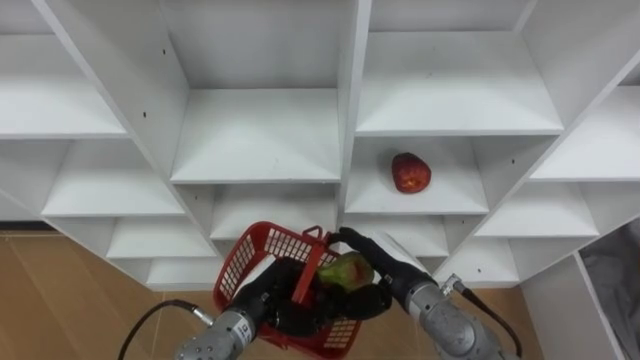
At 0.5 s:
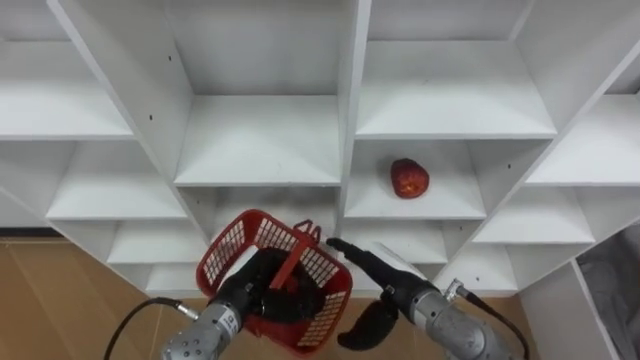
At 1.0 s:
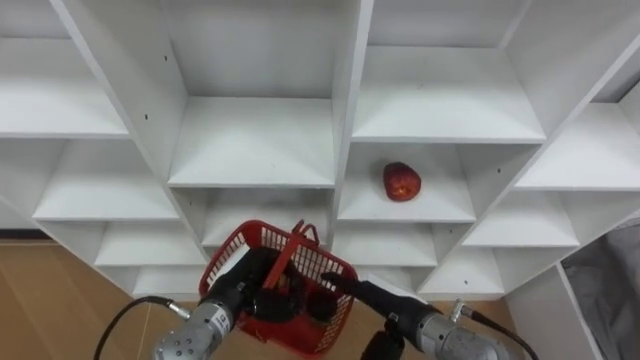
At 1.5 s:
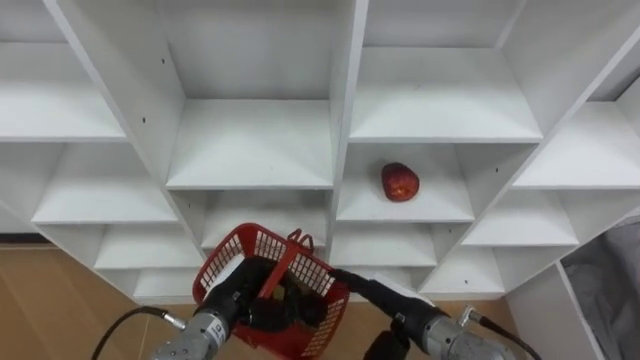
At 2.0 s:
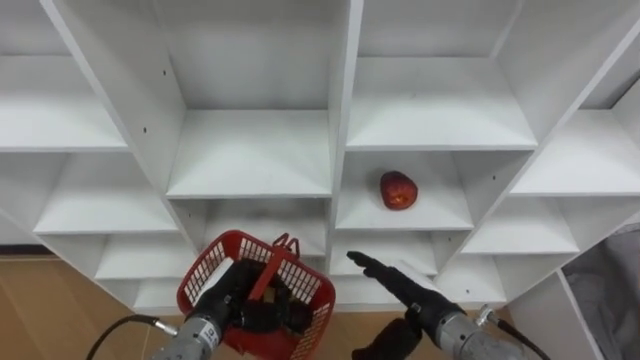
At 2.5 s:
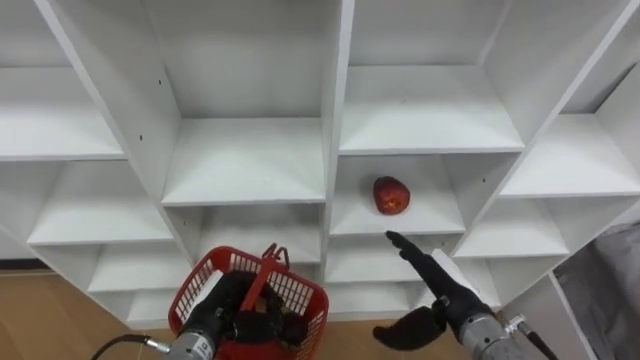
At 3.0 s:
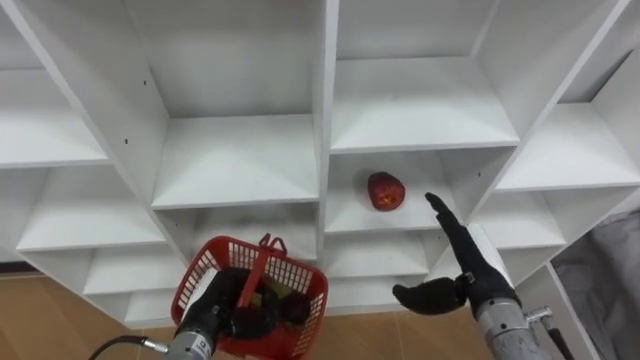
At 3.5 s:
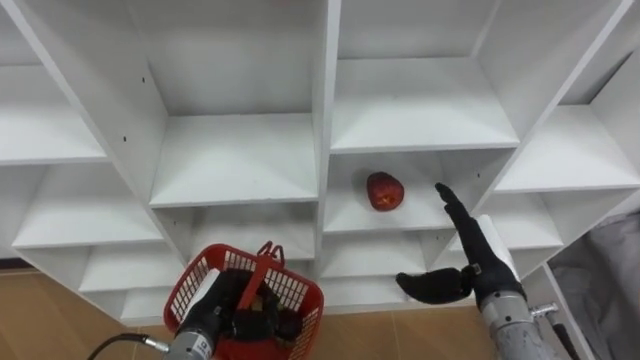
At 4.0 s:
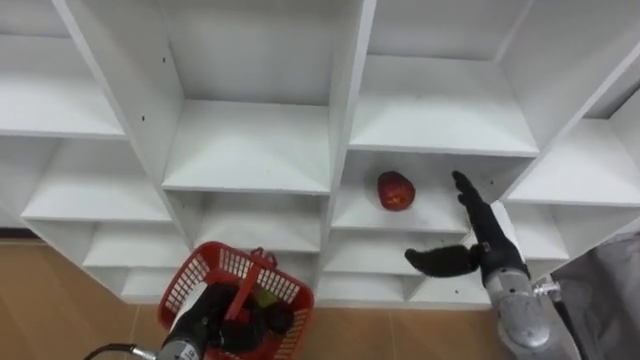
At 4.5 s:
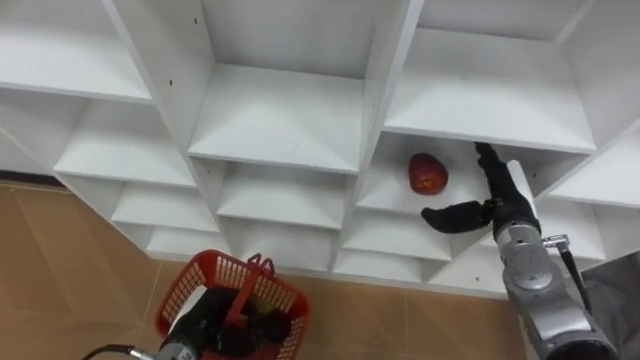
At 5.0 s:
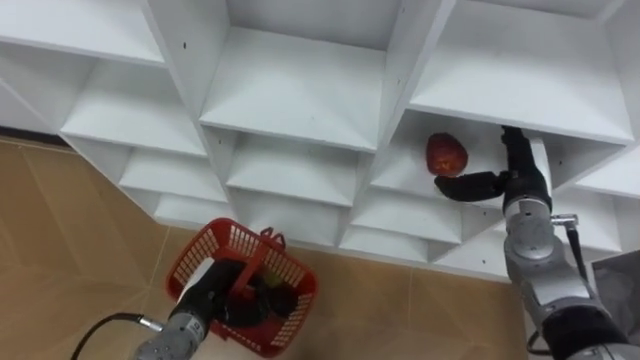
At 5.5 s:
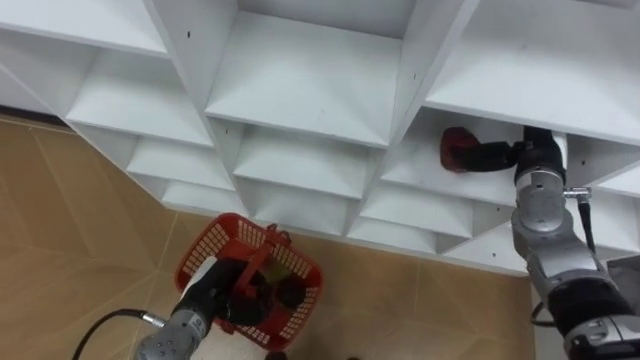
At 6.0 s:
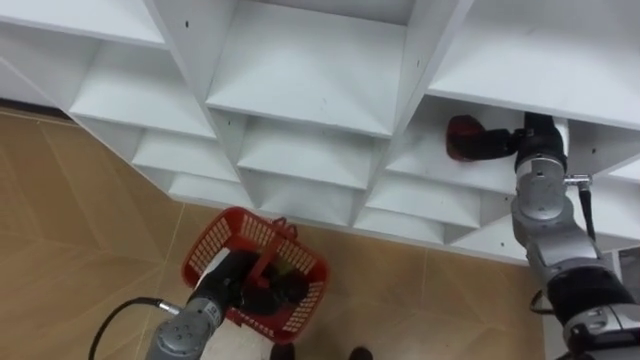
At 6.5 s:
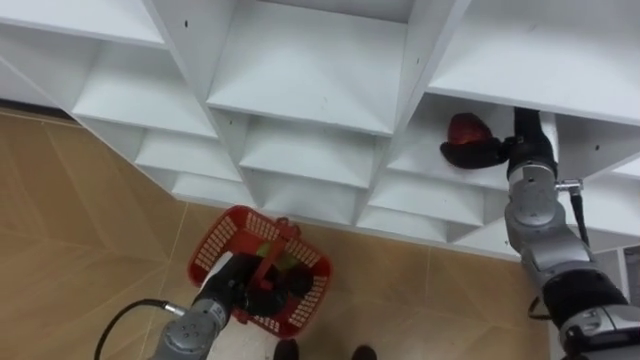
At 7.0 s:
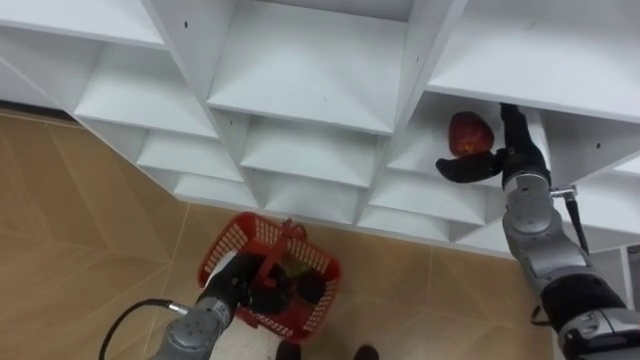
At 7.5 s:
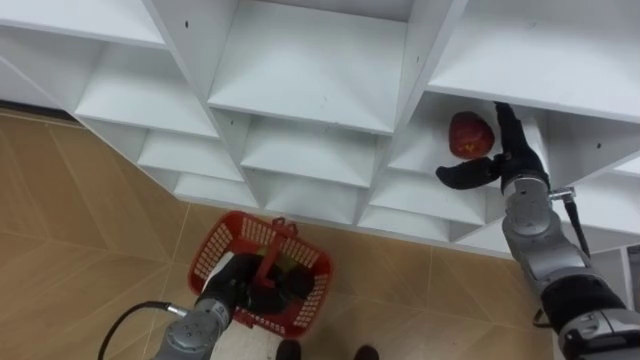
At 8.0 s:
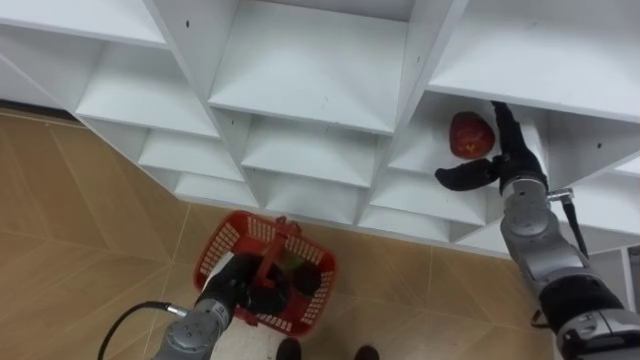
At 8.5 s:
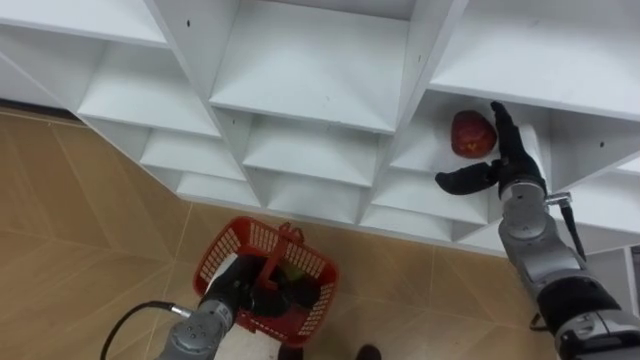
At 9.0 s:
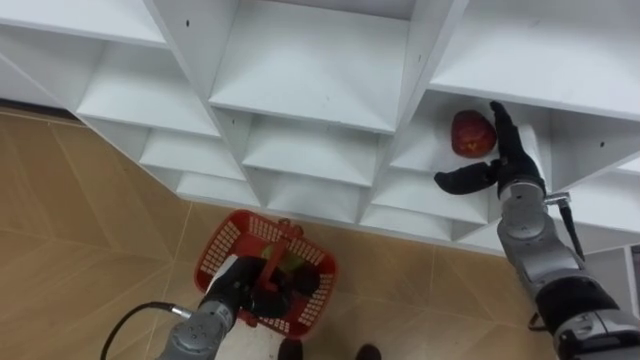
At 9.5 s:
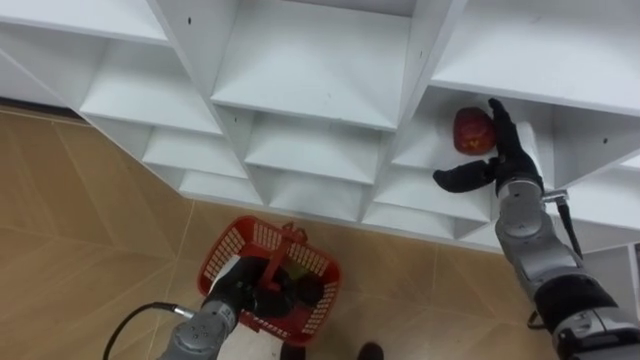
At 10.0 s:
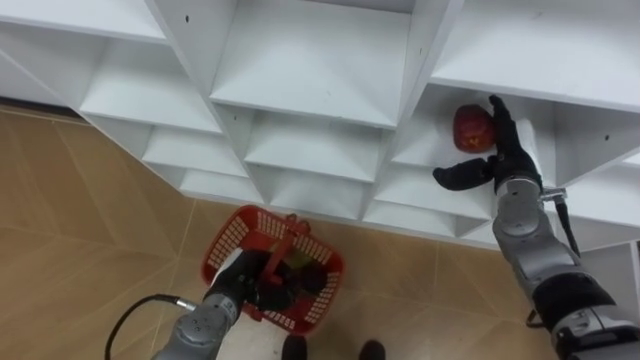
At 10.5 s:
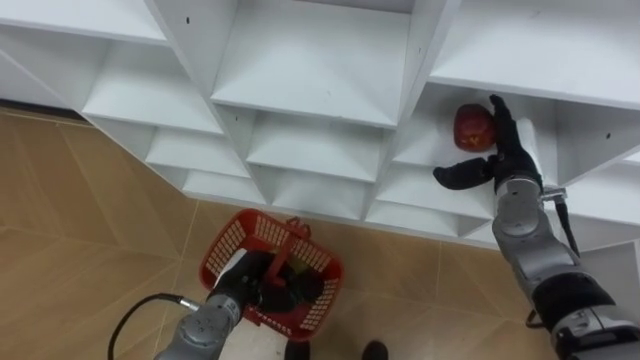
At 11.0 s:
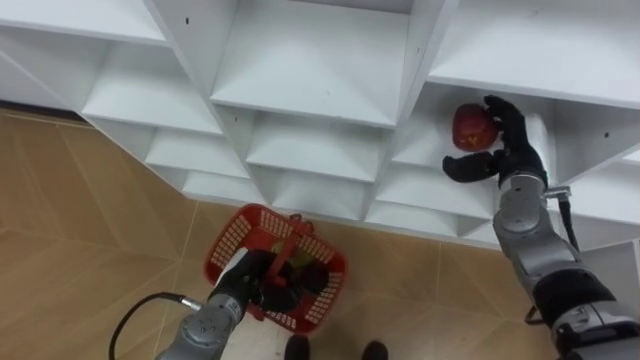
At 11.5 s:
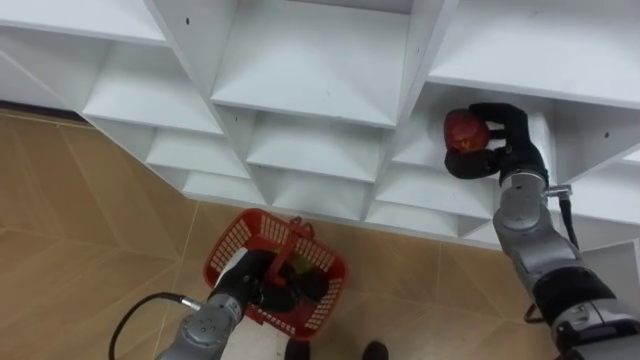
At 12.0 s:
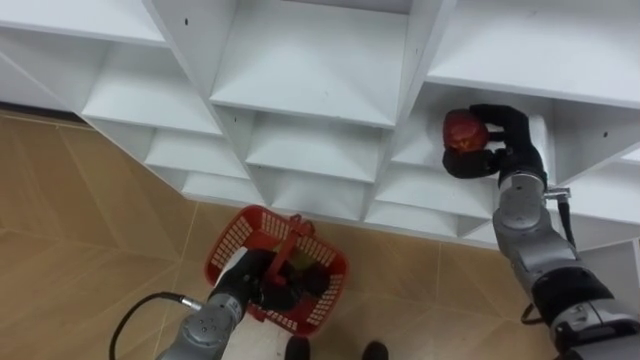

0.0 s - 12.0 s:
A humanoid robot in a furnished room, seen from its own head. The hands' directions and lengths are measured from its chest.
Task of the whole recording: Hold the basket and collect the fruits from 3 different cells of the closet into it.
0.0 s - 2.0 s: The right hand ends up roughly 5 cm from where it was. Meanwhile the left hand goes approximately 5 cm to the left.
2.0 s - 4.0 s: The right hand goes some 10 cm to the right and forward.
4.0 s - 6.0 s: The right hand heads forward and upward, covering roughly 15 cm; the left hand moves forward, approximately 5 cm.
8.0 s - 10.0 s: Neither hand changes place.
10.0 s - 12.0 s: The right hand closes.

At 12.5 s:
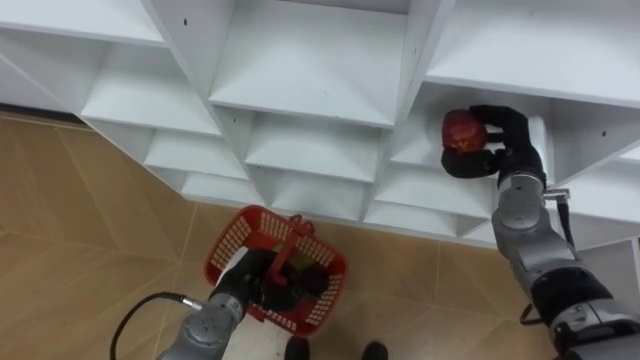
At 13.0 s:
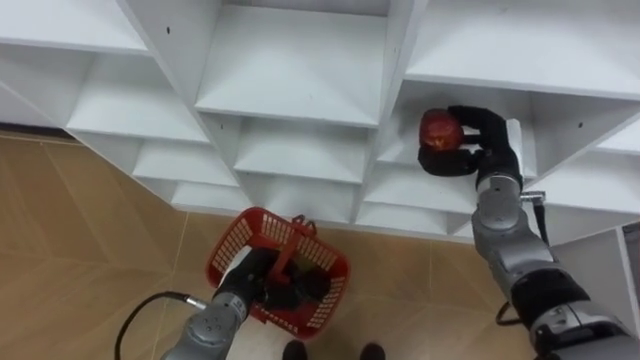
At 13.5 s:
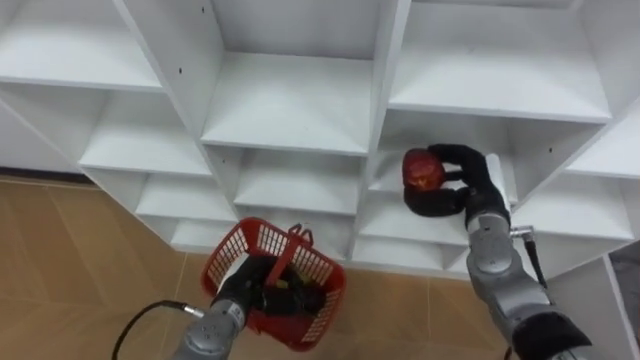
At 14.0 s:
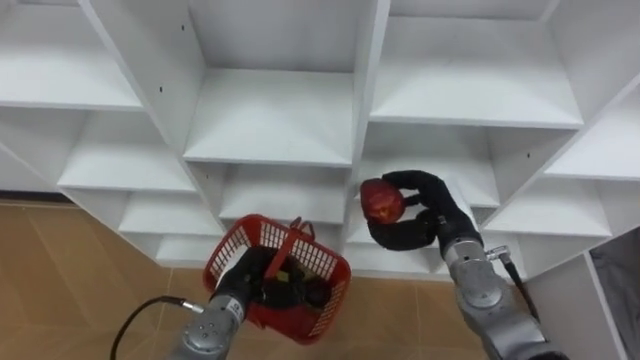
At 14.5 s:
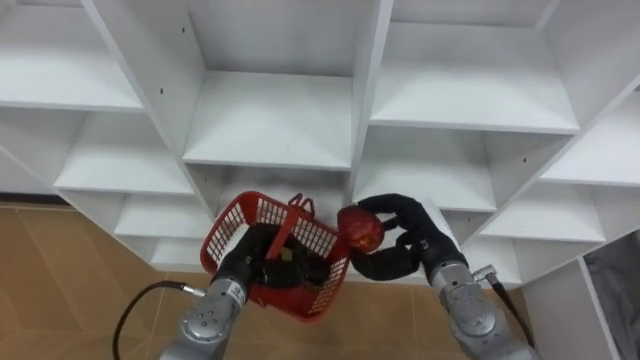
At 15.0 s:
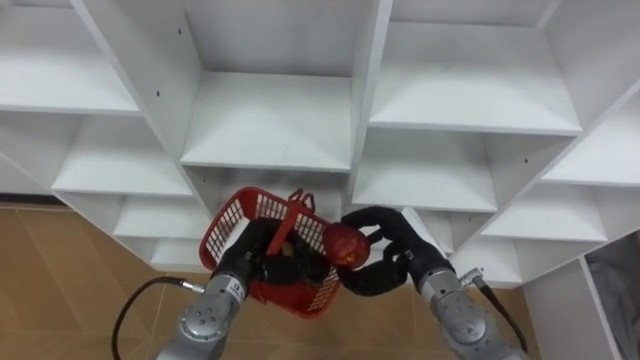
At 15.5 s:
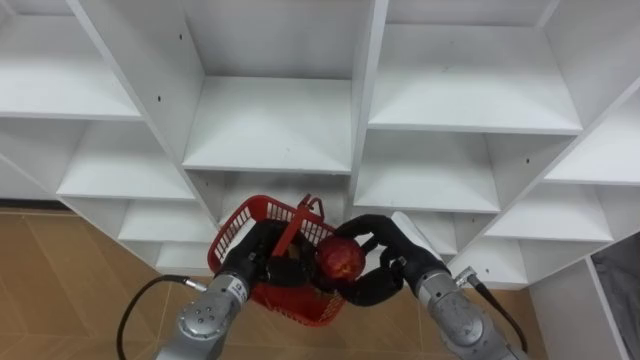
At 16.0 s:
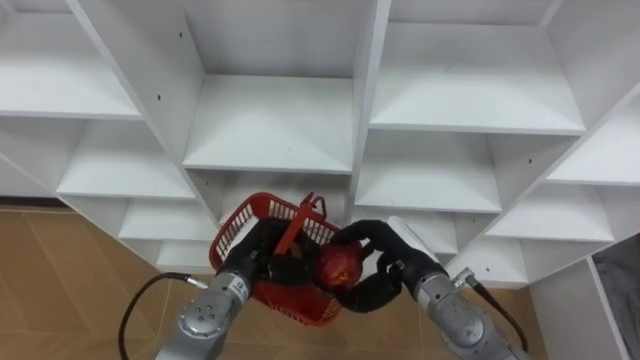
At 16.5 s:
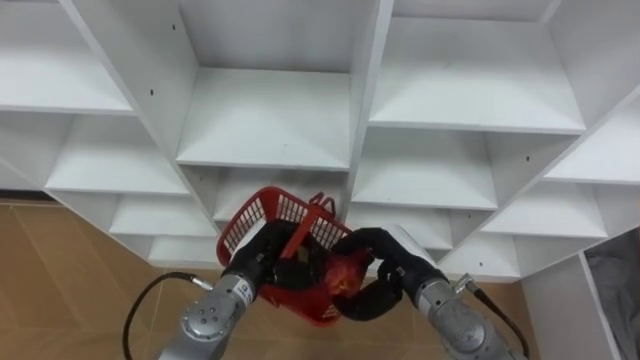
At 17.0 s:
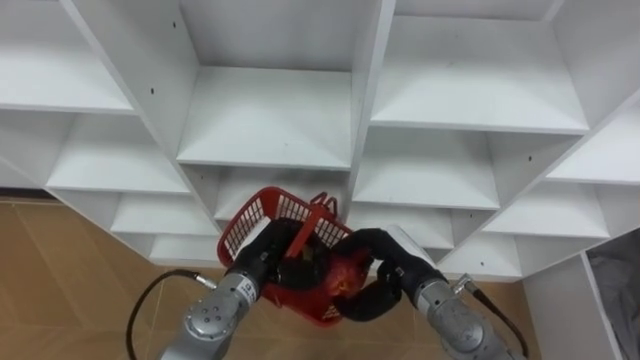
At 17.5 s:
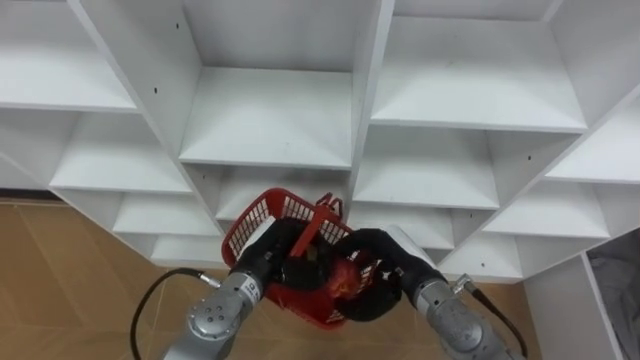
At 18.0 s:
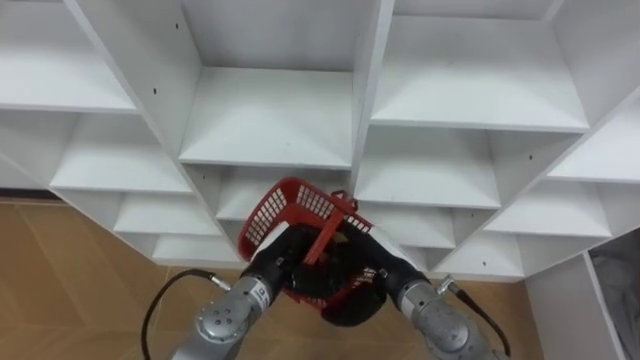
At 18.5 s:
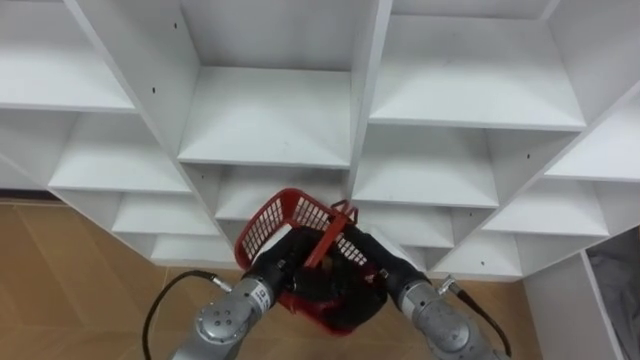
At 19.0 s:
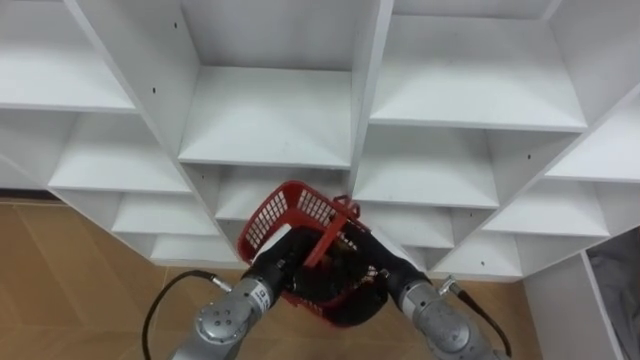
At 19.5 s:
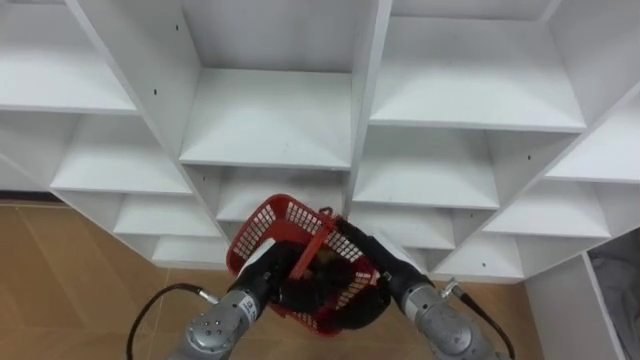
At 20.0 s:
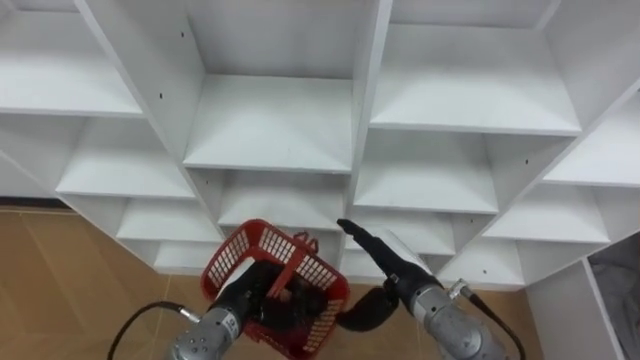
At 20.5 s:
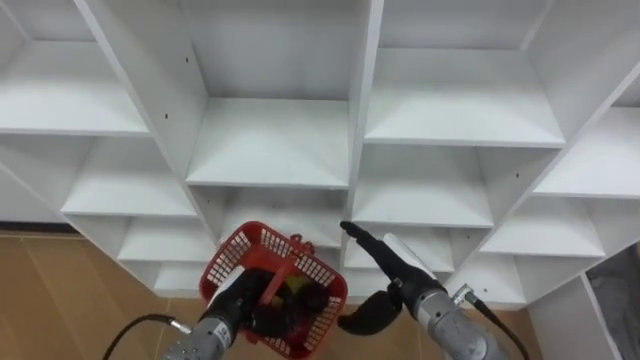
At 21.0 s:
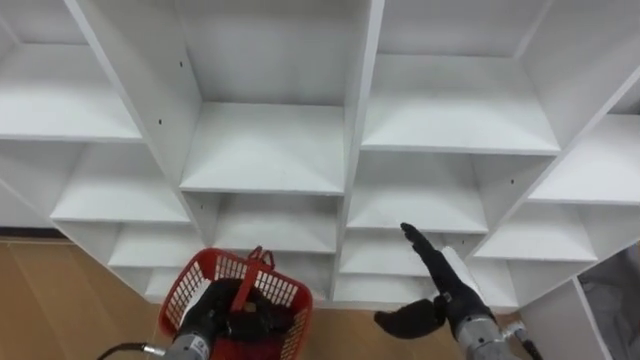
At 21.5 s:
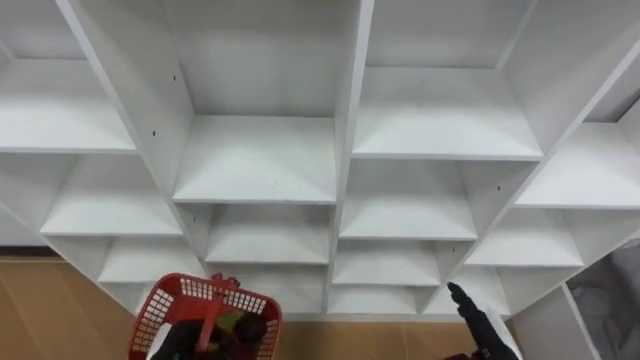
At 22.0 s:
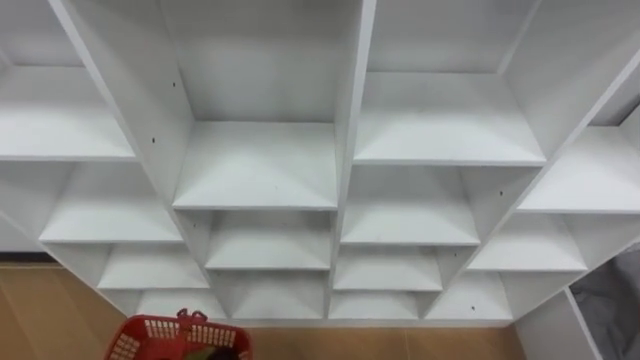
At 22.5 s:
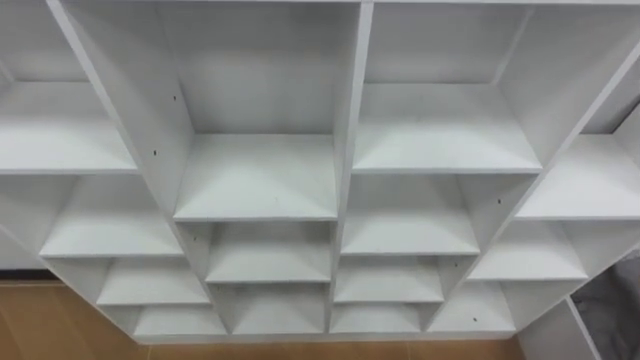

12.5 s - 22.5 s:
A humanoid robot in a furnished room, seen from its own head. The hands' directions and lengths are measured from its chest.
Task of the whole recording: Hold the basket and collect the fruits from 3 different cells of the closet into it.
12.5 s - 14.5 s: The right hand shifts about 15 cm to the left, backward and downward.
14.5 s - 16.5 s: The right hand ends up some 5 cm from where it was.
16.5 s - 18.5 s: The right hand opens its fingers.
18.5 s - 20.5 s: The left hand heads to the left and downward, covering approximately 10 cm.
